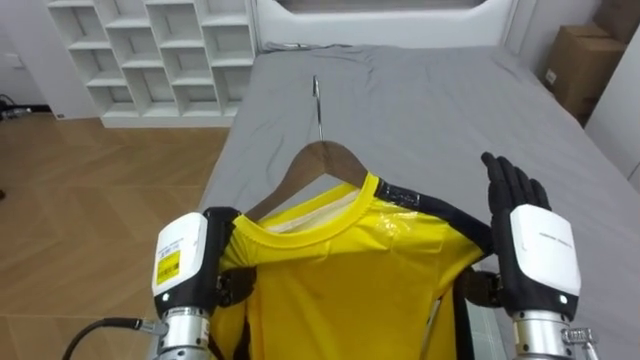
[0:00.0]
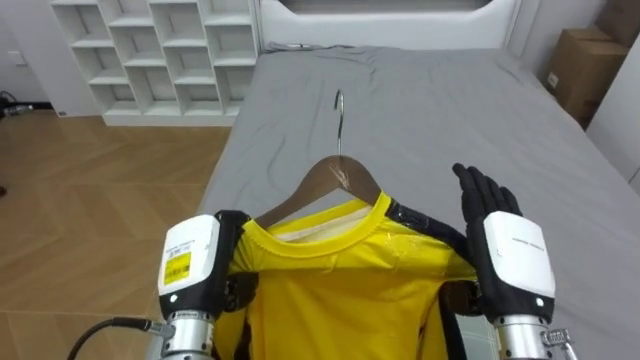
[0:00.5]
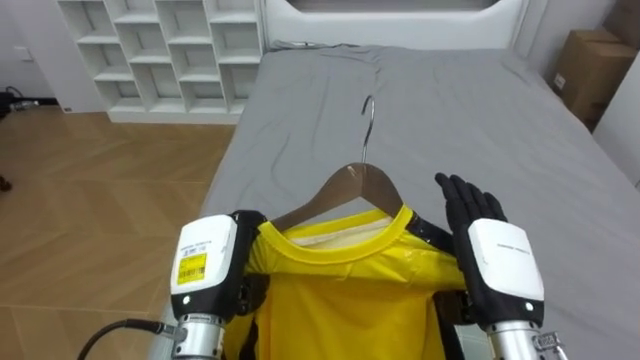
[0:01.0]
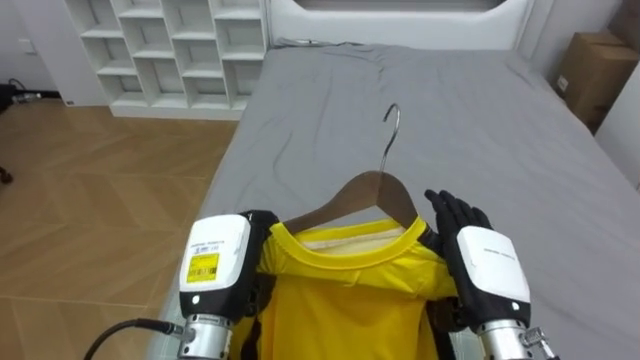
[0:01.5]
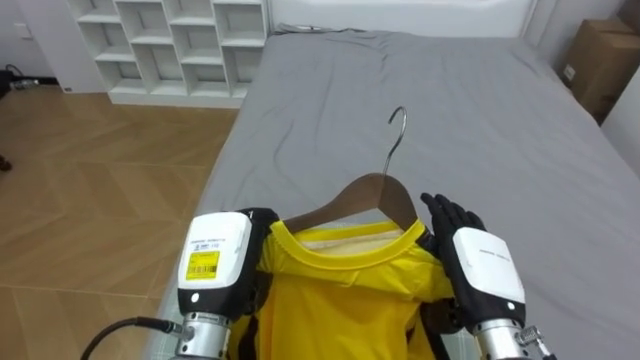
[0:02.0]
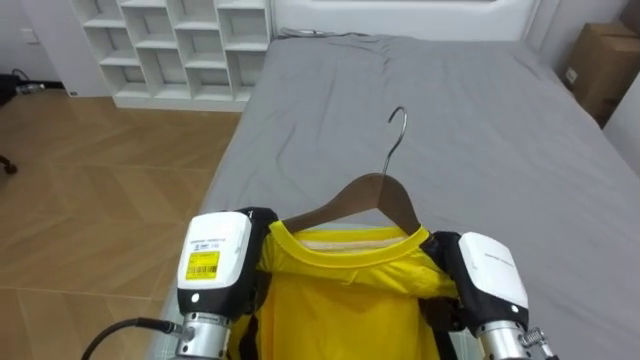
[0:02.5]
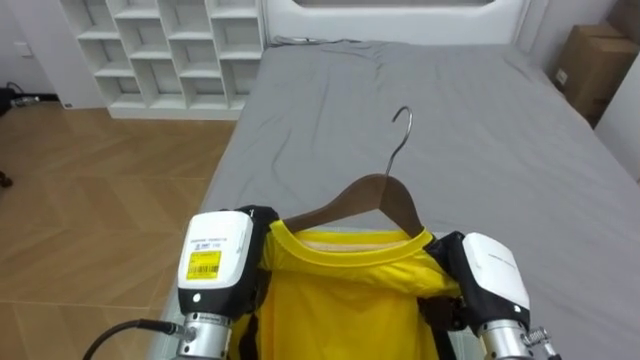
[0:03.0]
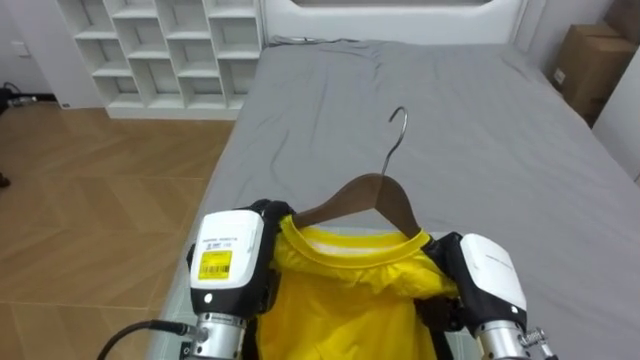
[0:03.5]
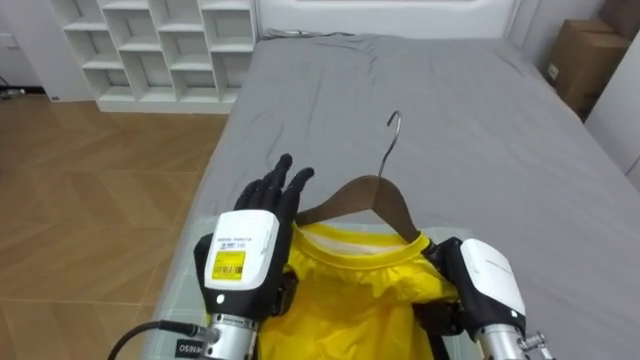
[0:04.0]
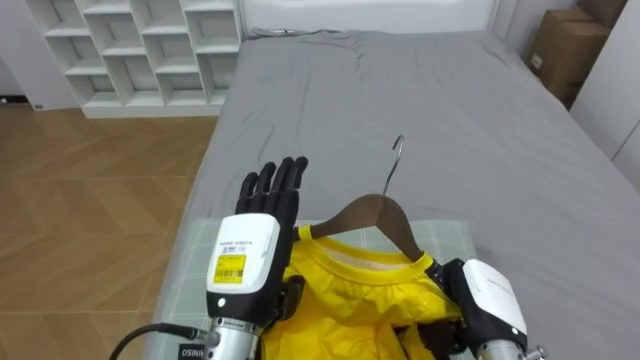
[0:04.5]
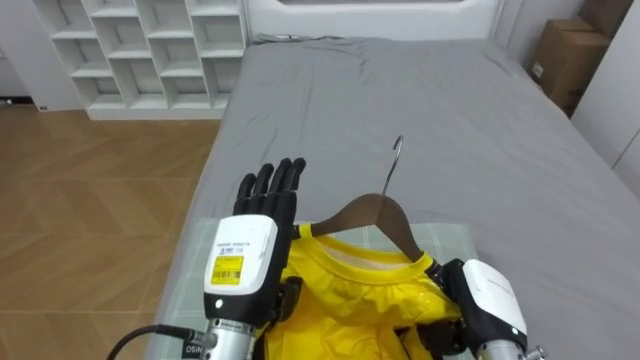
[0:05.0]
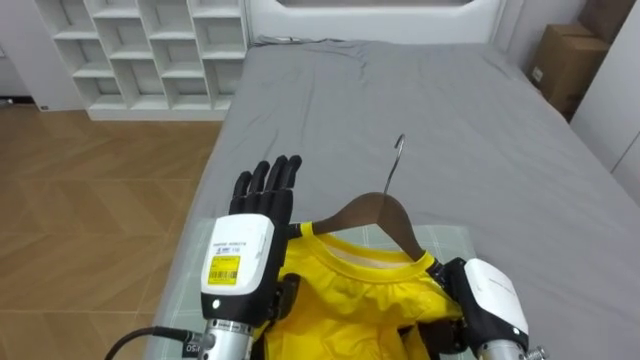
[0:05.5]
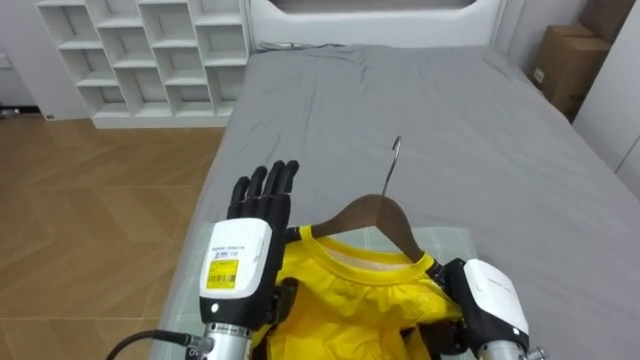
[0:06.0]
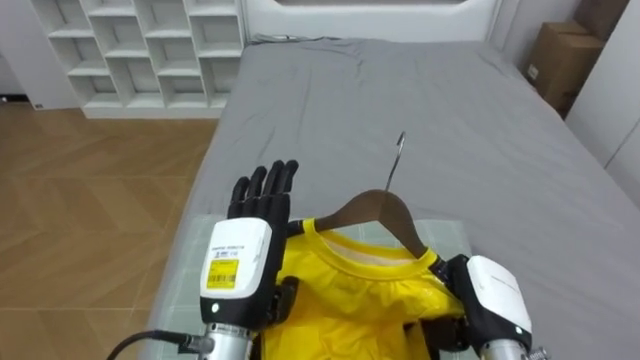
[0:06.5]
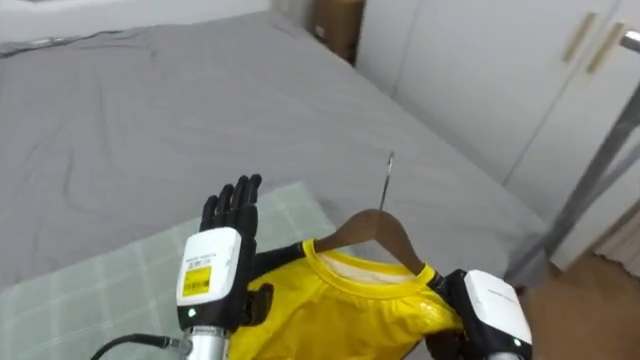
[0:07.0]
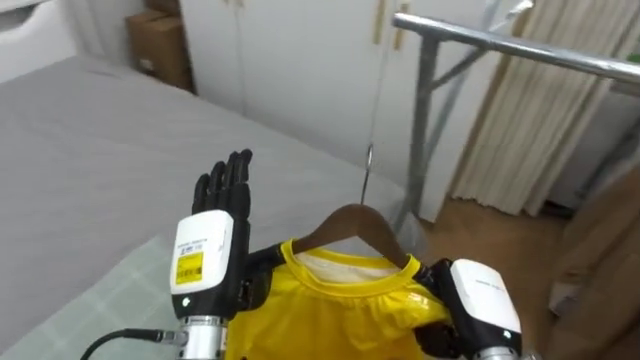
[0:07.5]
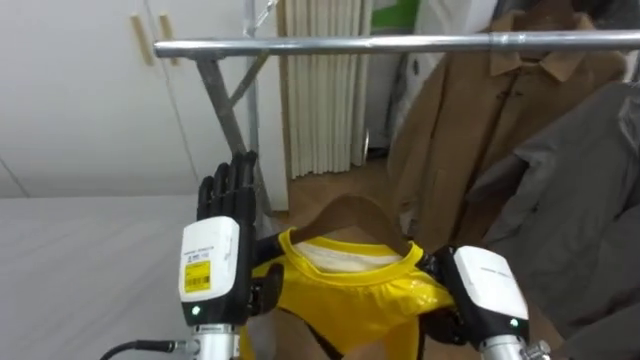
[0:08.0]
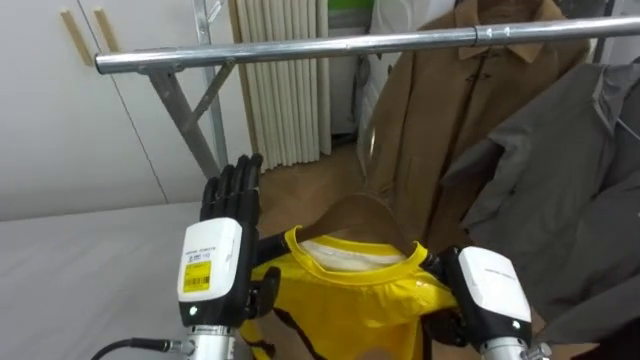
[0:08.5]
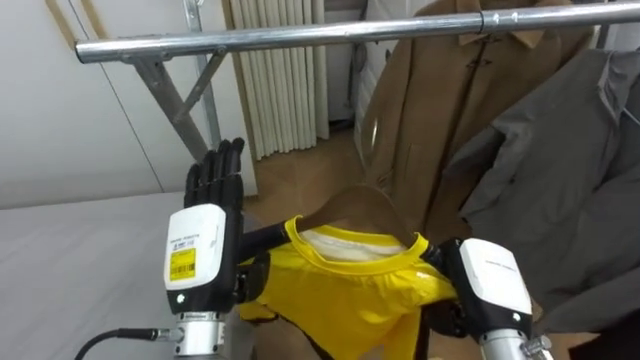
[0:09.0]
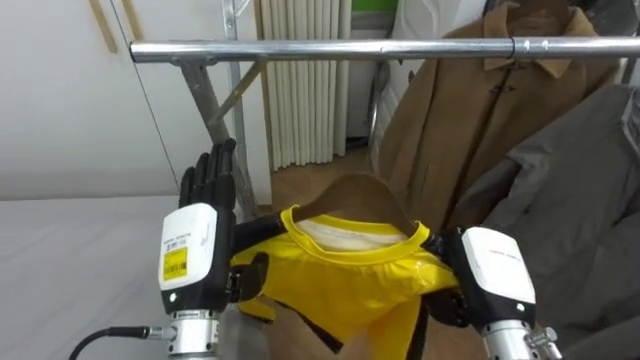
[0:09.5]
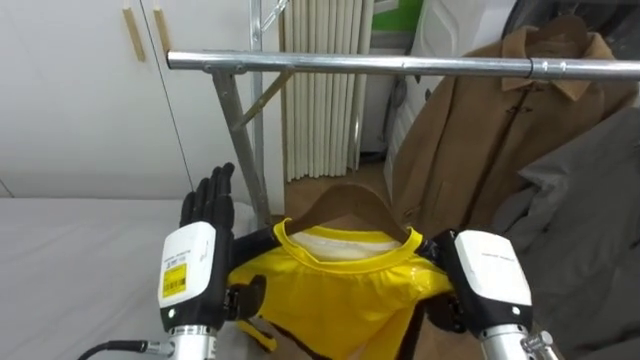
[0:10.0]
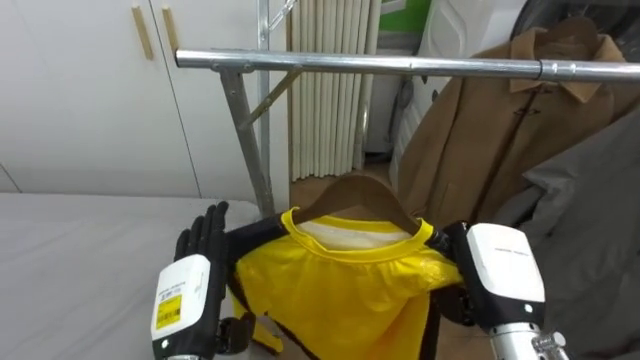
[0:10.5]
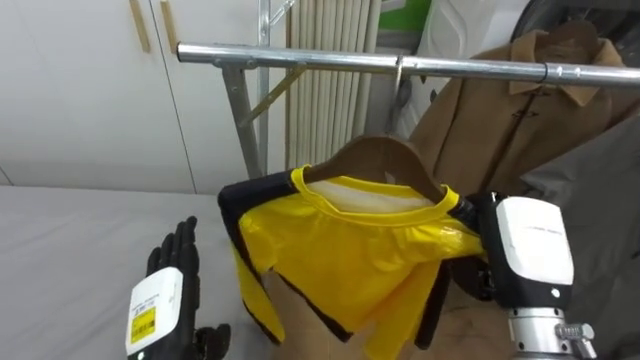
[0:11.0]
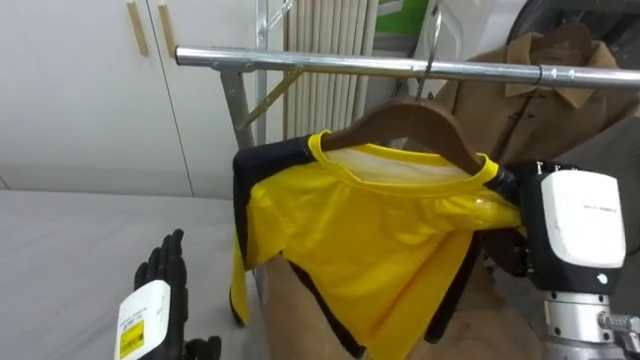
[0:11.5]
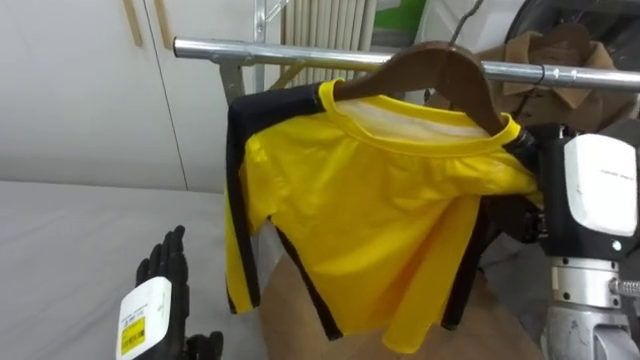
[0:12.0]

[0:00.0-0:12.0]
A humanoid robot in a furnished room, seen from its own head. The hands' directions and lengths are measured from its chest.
Task of the whole recording: Pick up the yellow shirt on the bed and hang it on the clothes rack on the right.
0:00.0 to 0:02.0: The right hand ends up roughly 5 cm from where it was.
0:02.0 to 0:04.0: The right hand closes its fingers. Meanwhile the left hand opens up.
0:06.0 to 0:08.0: The robot faces approximately 90 degrees further to its right.
0:10.0 to 0:12.0: The right hand moves upward and to the right, some 15 cm. Meanwhile the left hand heads downward and to the left, covering about 10 cm.

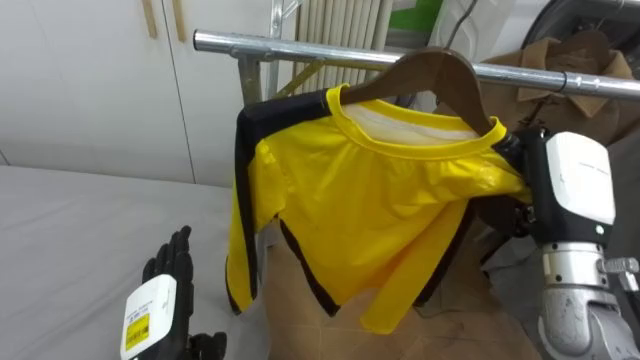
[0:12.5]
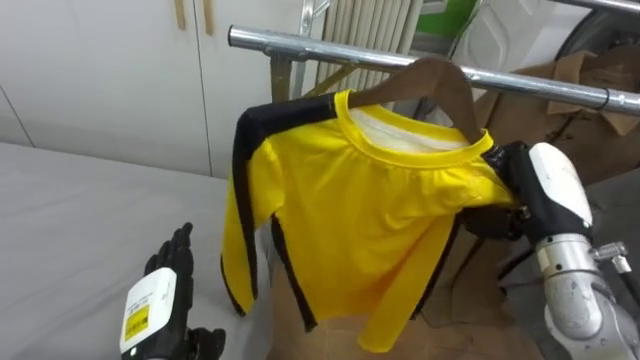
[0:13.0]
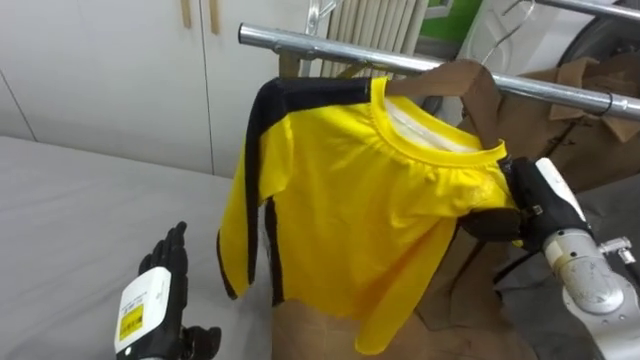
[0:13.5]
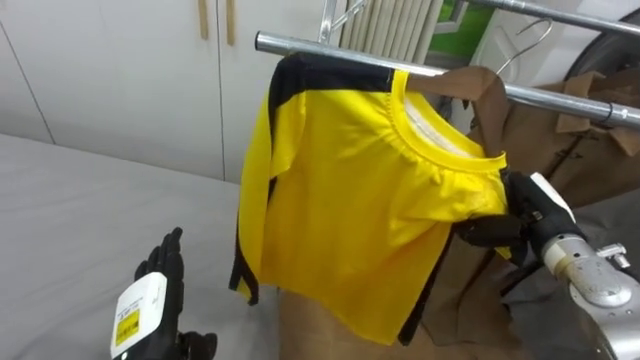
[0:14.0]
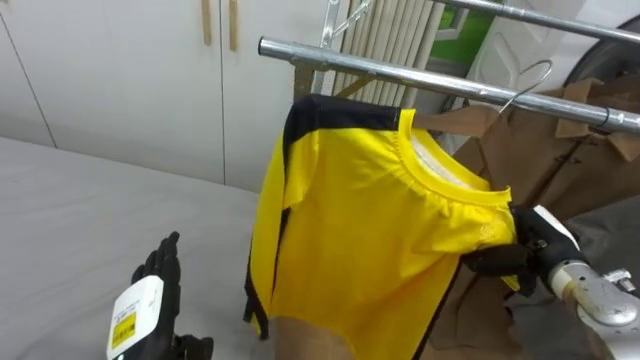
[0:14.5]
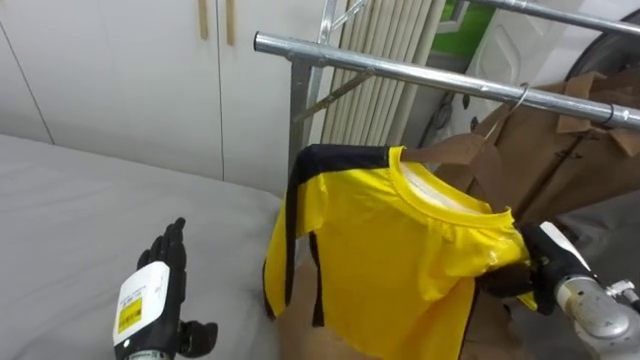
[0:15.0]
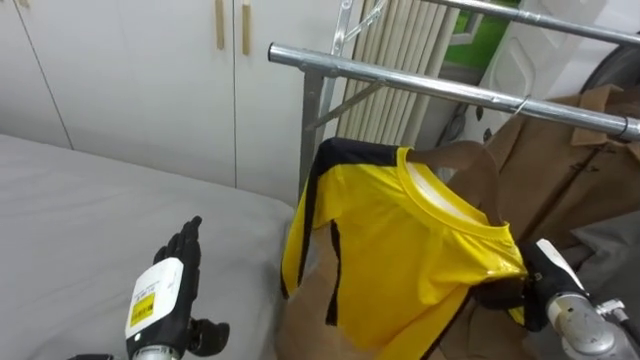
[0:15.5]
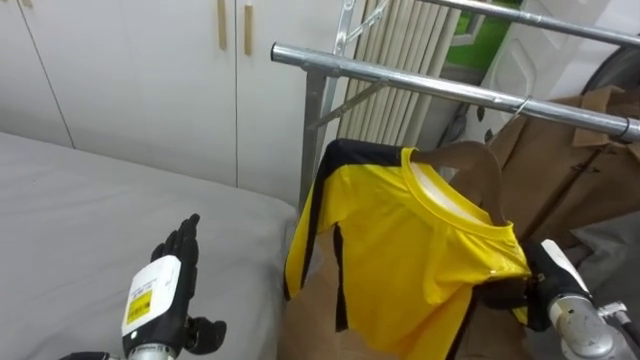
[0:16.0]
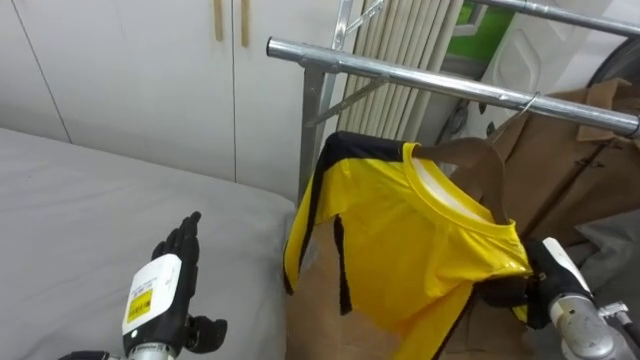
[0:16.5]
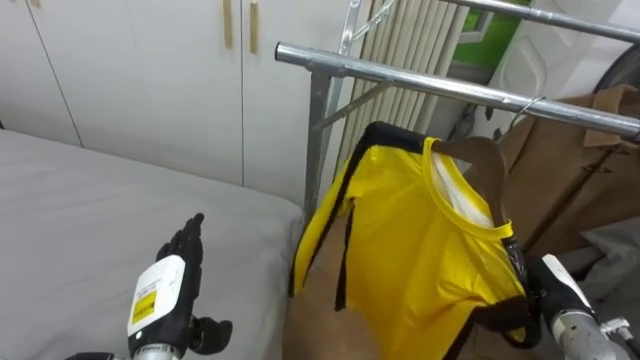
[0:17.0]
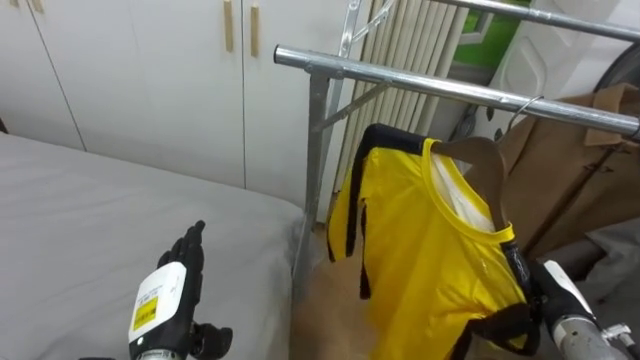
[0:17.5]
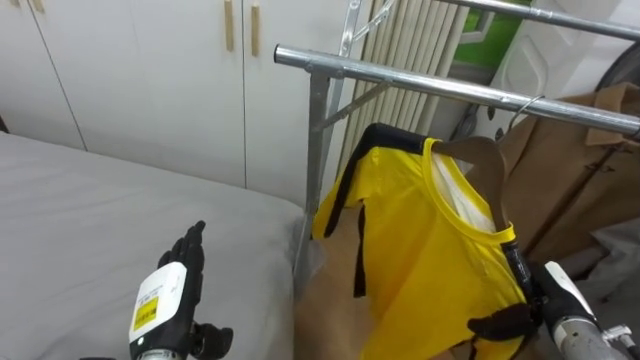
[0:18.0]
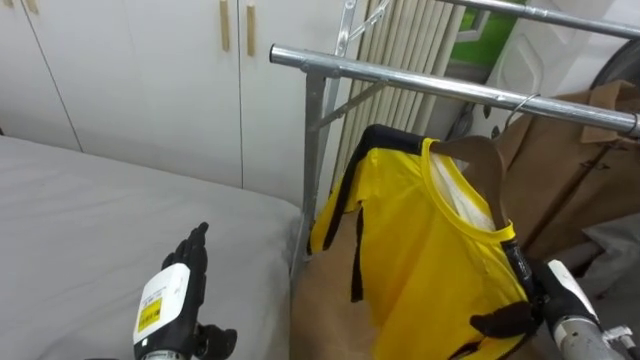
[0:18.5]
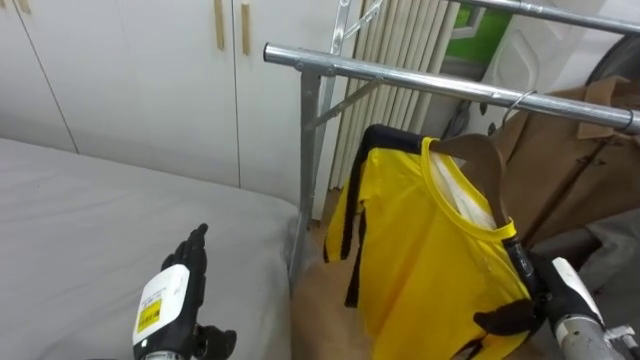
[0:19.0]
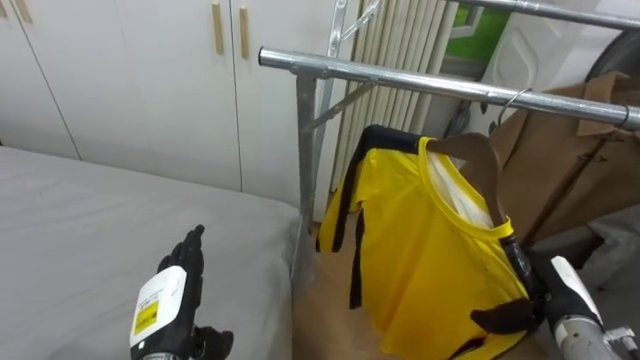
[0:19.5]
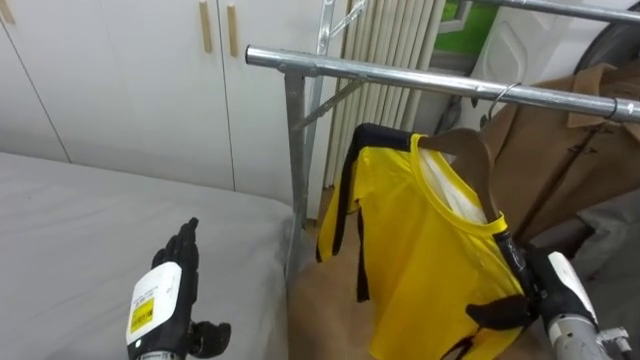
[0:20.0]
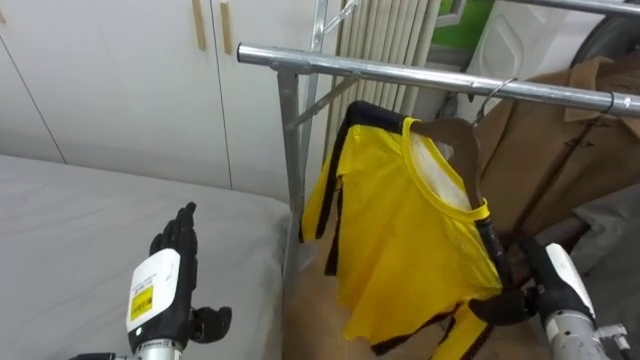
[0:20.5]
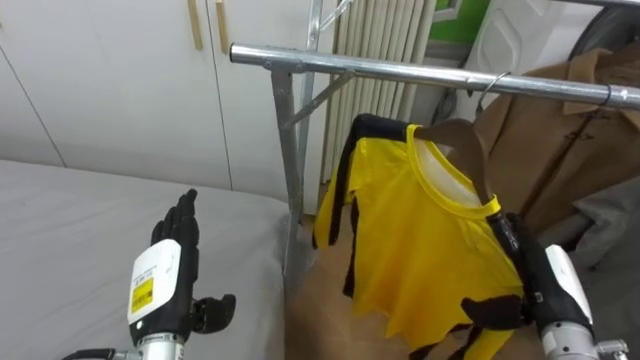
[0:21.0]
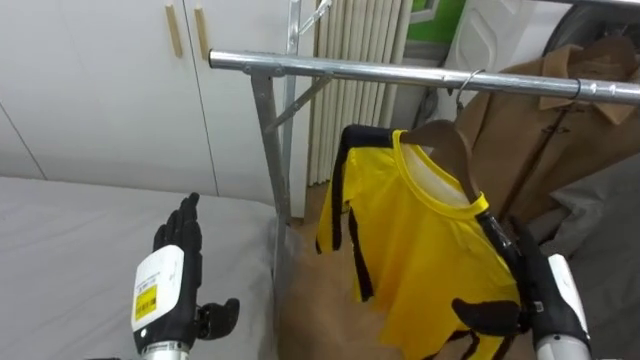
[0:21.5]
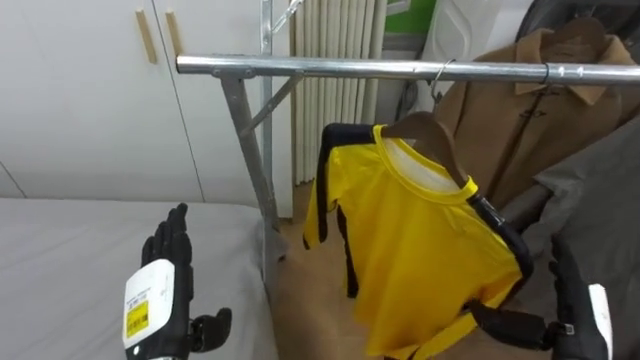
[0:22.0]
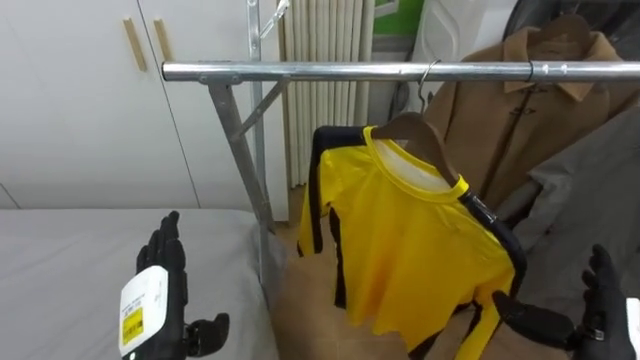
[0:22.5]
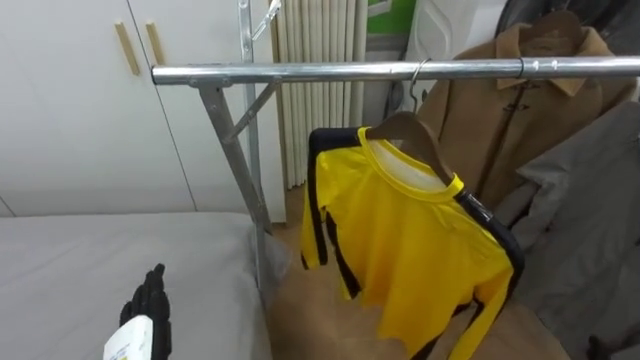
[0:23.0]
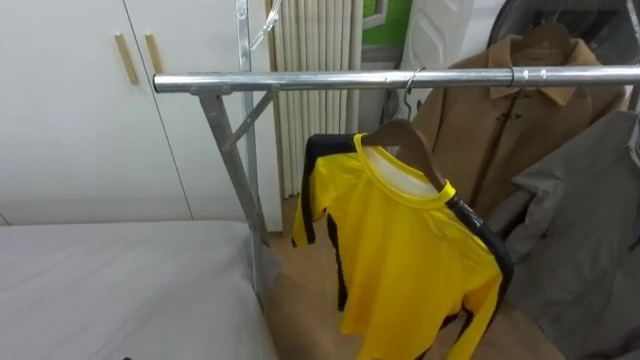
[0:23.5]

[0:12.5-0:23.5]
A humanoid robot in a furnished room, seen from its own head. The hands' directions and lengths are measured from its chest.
Task of the whole recording: Pick up the yellow shirt on the bed and hang it on the clothes rack on the right.
0:12.5 to 0:14.5: The right hand is displaced downward by some 15 cm.
0:14.5 to 0:16.0: The right hand moves roughly 5 cm.
0:16.0 to 0:18.0: The right hand opens up.
0:20.0 to 0:21.5: The right hand changes place by some 5 cm.
